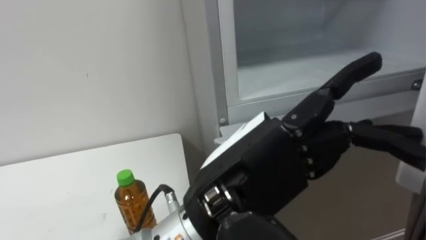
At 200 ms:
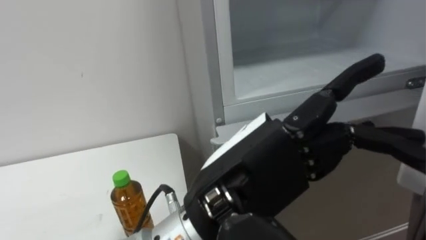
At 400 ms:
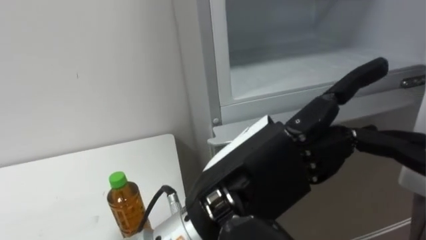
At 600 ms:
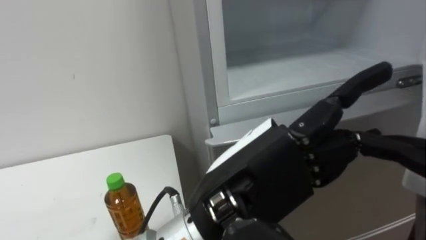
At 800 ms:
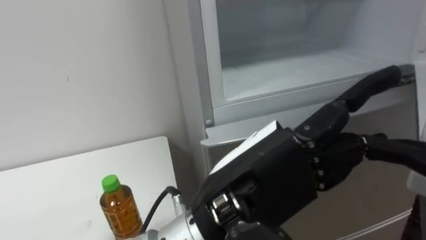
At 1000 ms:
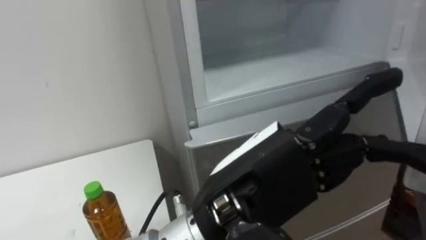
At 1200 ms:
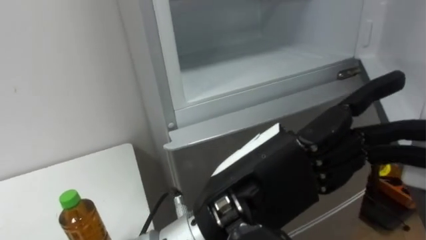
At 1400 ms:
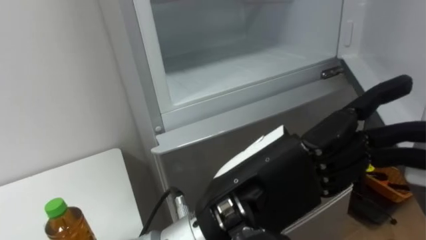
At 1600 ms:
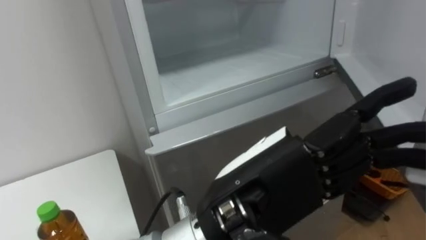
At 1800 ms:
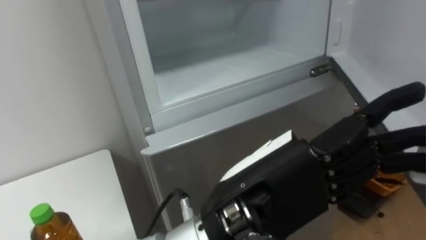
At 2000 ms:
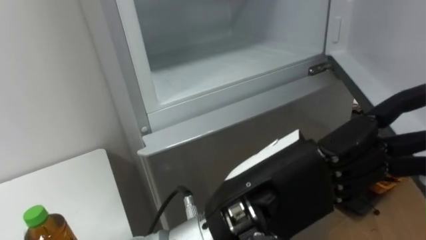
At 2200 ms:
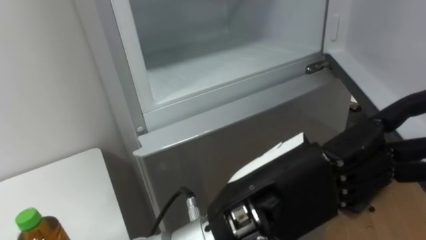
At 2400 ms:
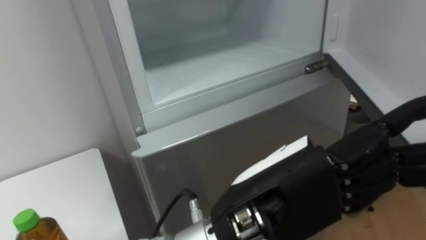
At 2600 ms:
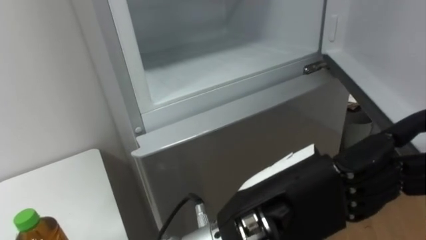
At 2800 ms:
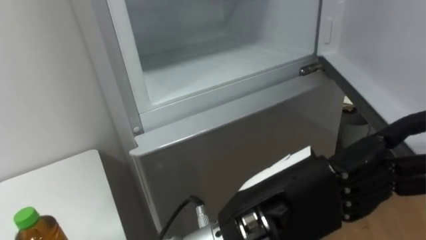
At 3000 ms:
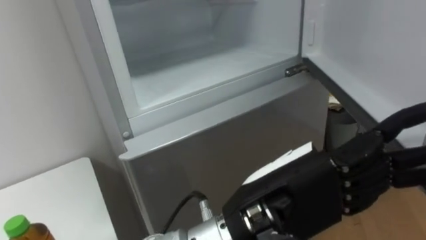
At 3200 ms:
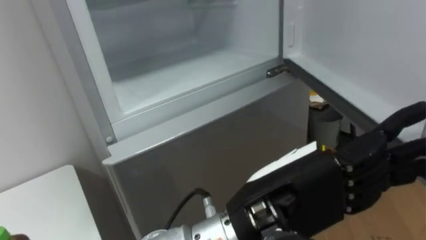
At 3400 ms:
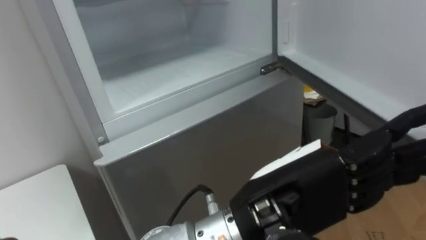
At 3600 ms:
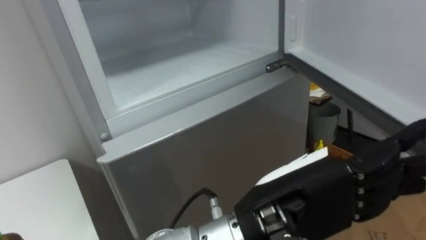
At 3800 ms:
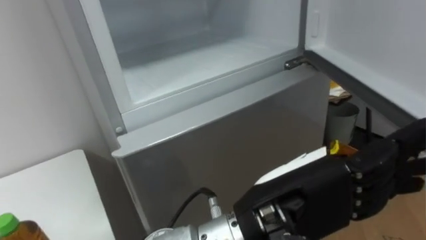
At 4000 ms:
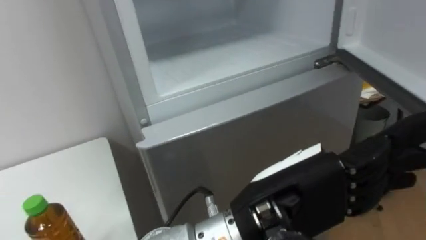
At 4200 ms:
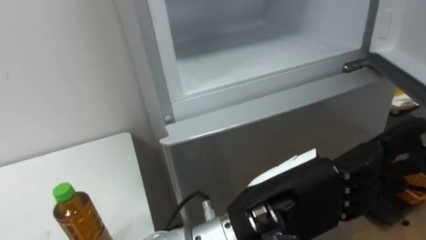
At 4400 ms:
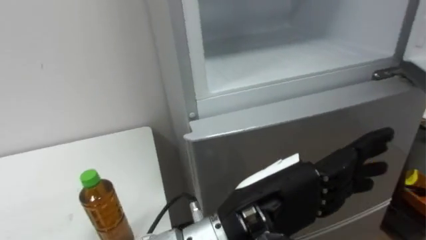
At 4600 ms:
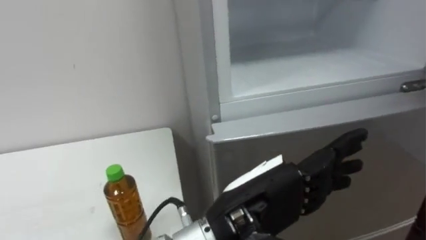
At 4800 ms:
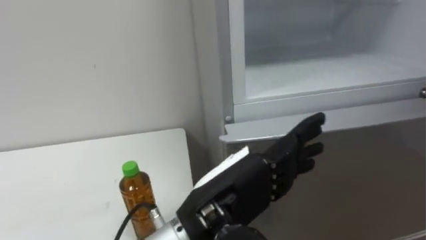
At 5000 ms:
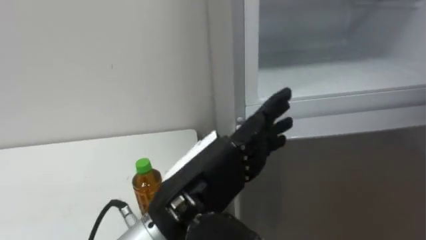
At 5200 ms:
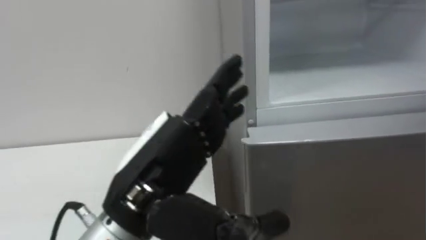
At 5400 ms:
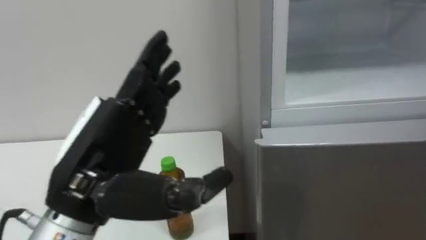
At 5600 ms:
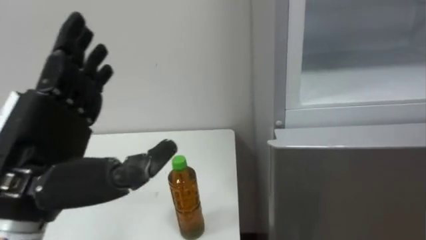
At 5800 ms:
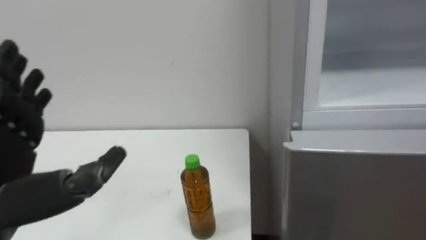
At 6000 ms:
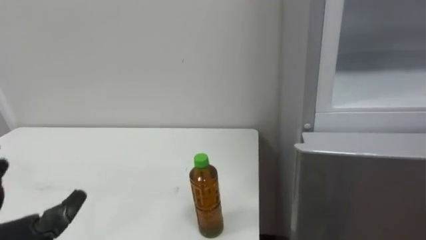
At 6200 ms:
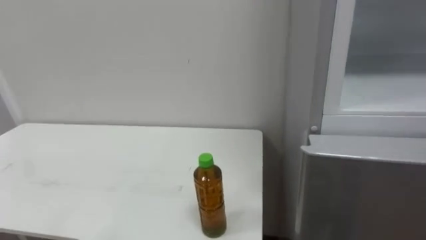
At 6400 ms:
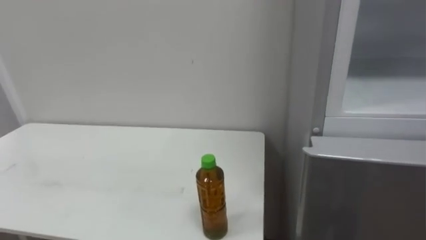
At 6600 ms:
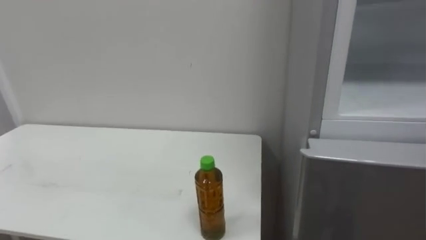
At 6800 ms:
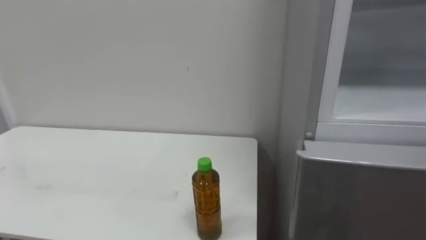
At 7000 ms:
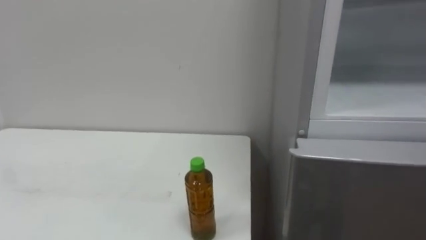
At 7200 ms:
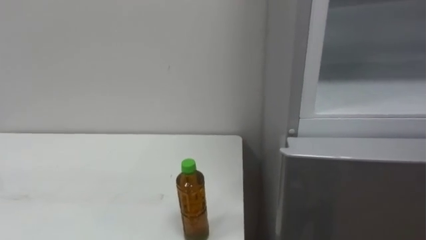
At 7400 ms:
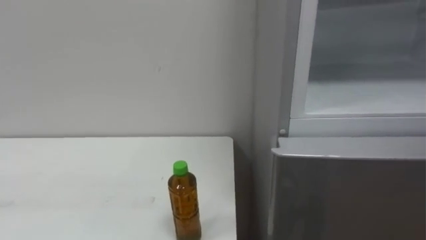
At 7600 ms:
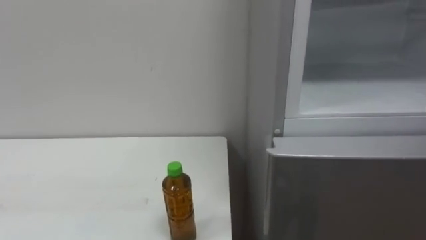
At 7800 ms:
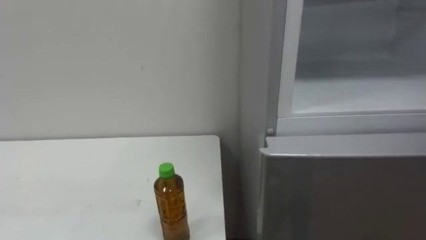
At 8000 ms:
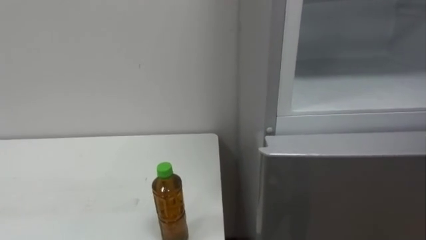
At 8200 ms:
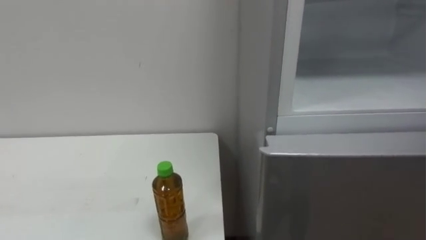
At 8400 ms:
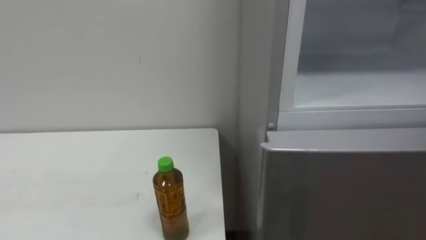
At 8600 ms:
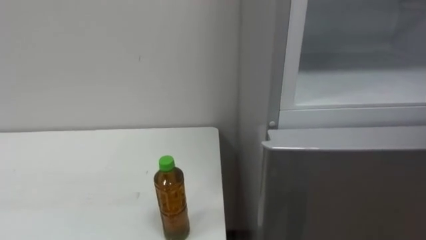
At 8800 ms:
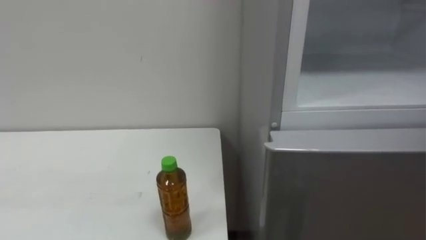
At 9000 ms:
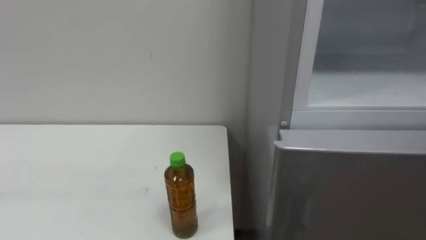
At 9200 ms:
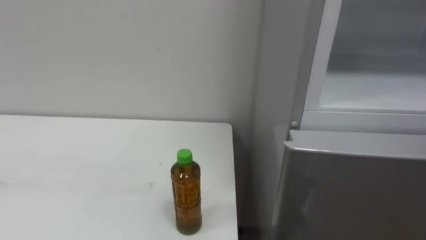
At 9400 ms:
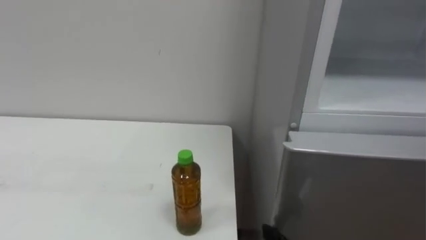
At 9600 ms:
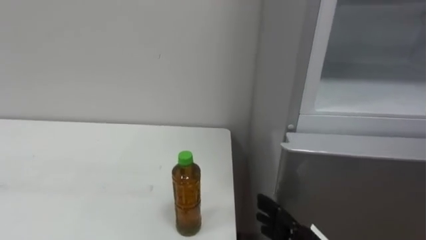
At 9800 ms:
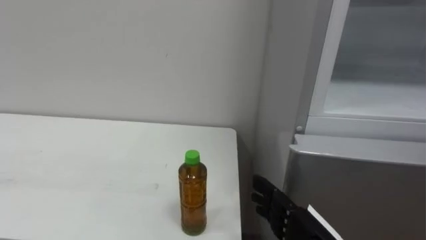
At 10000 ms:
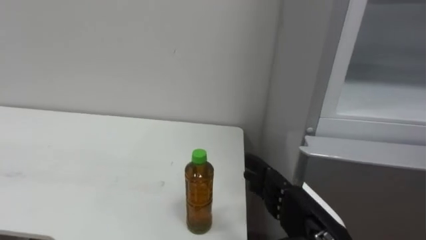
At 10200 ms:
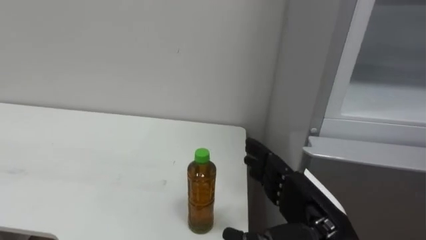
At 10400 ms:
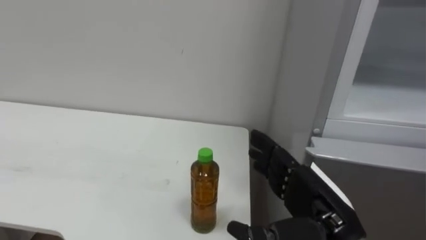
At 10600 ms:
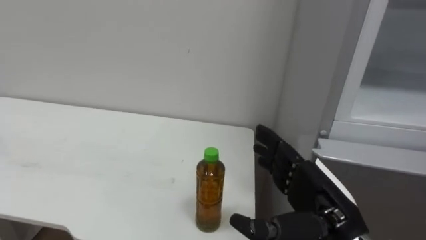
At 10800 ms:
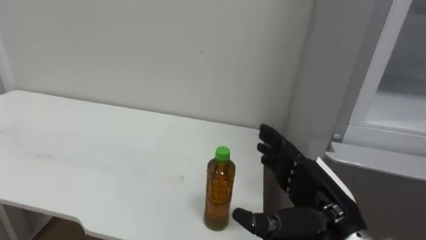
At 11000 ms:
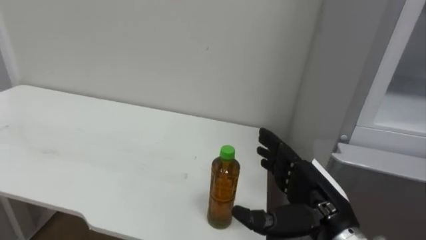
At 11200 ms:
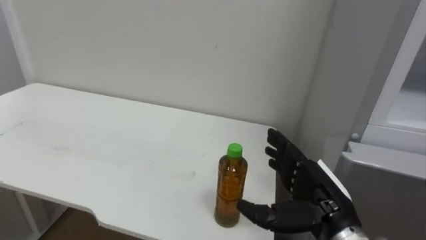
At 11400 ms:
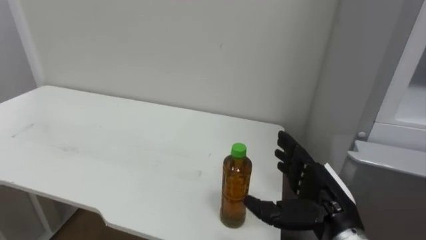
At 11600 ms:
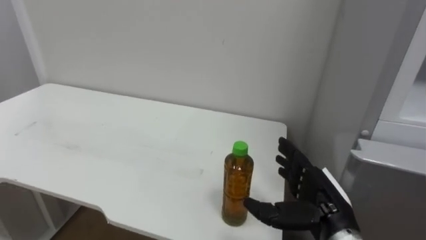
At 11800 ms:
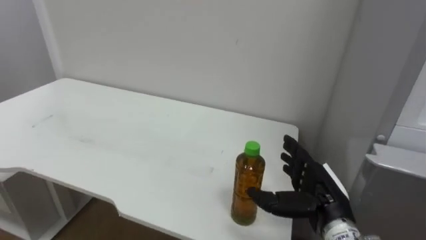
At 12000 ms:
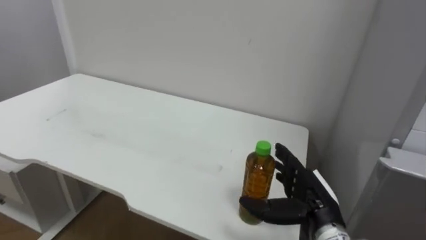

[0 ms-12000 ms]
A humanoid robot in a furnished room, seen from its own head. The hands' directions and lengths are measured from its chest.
Task of the whole recording: Open the upper refrigerator door, put the drink from the table into the refrigerator, and then close the refrigerator door.
10400 ms to 12000 ms: The right hand heads downward and forward, covering about 10 cm.

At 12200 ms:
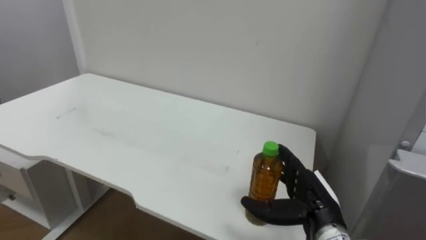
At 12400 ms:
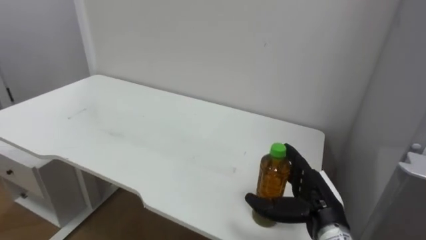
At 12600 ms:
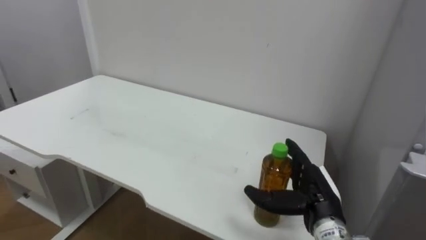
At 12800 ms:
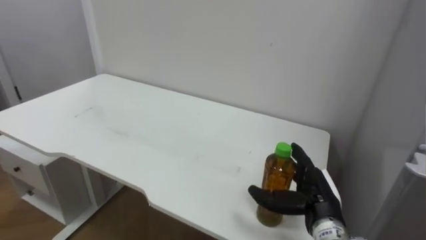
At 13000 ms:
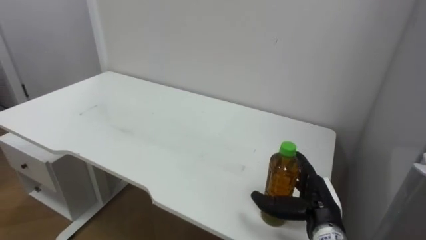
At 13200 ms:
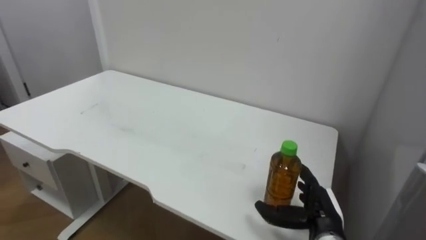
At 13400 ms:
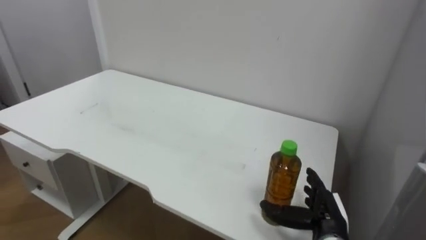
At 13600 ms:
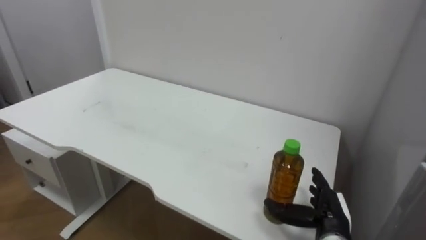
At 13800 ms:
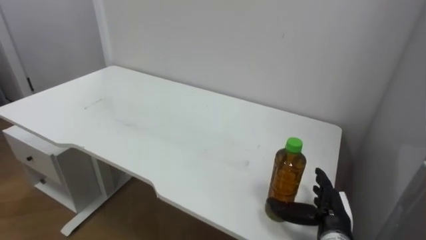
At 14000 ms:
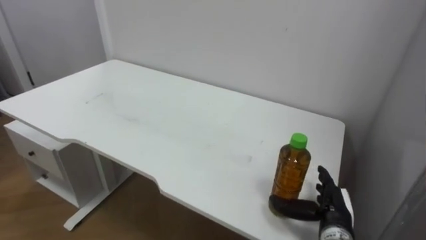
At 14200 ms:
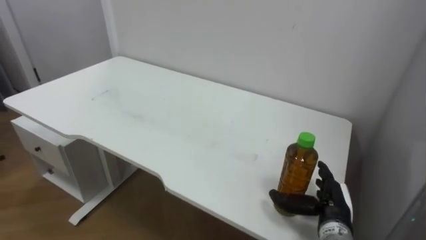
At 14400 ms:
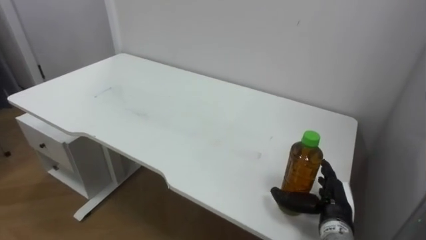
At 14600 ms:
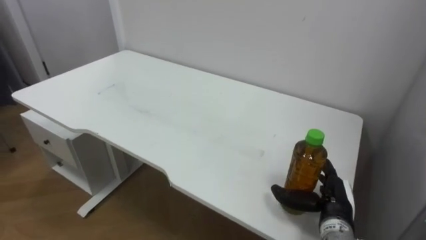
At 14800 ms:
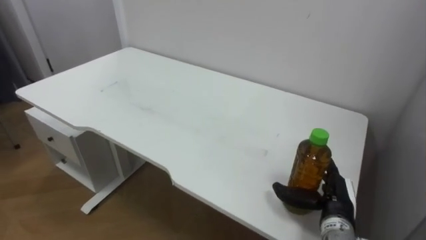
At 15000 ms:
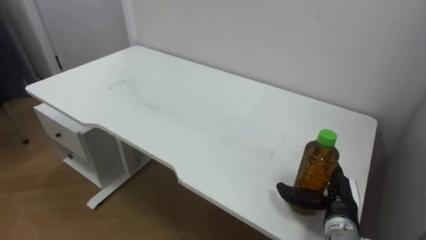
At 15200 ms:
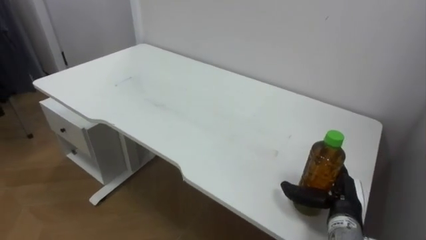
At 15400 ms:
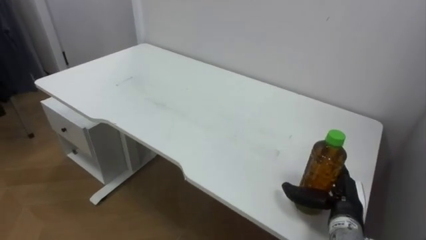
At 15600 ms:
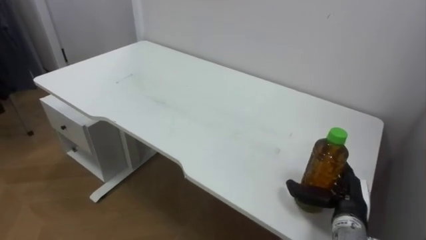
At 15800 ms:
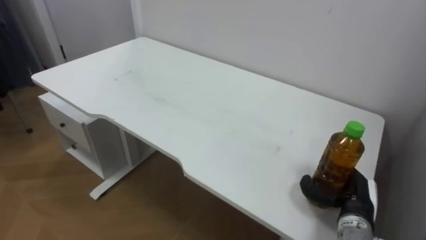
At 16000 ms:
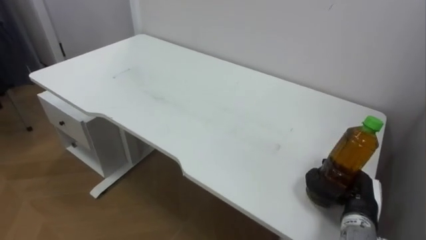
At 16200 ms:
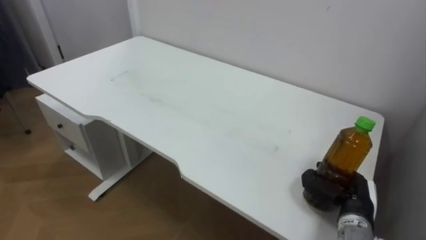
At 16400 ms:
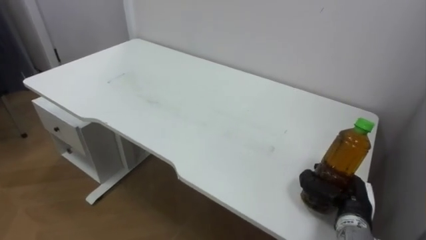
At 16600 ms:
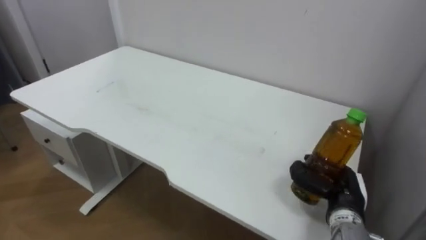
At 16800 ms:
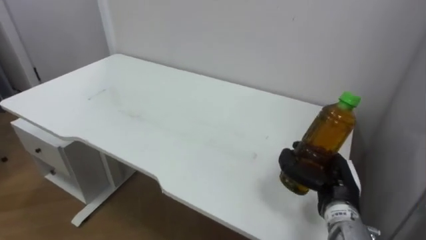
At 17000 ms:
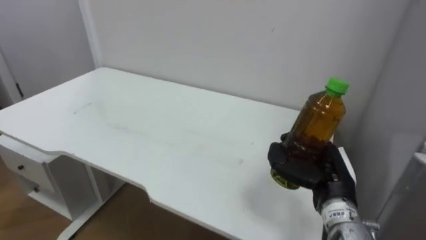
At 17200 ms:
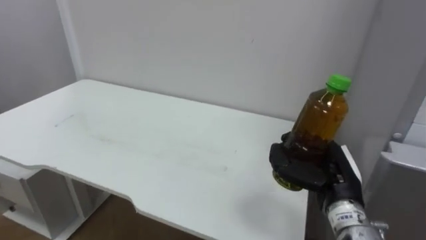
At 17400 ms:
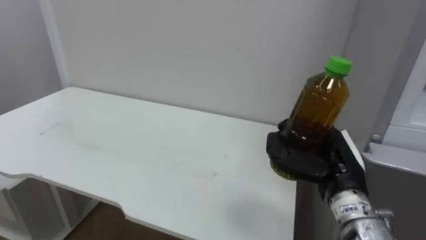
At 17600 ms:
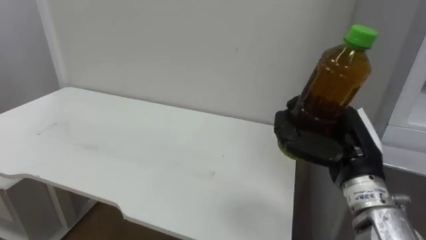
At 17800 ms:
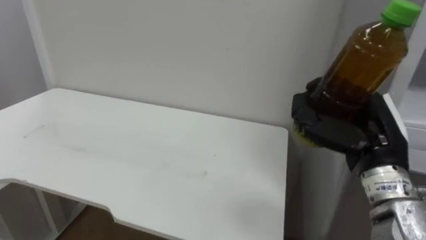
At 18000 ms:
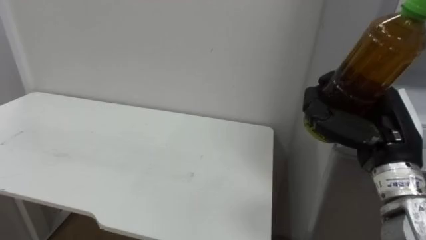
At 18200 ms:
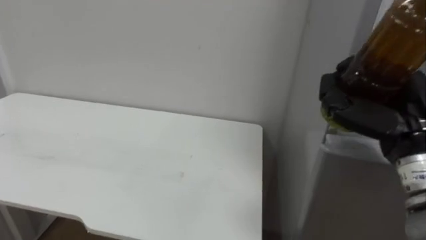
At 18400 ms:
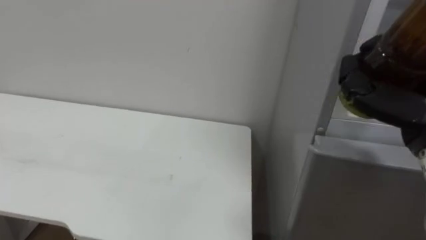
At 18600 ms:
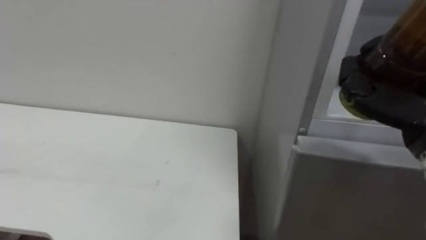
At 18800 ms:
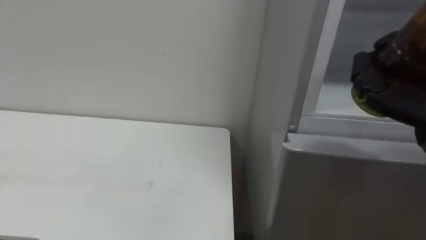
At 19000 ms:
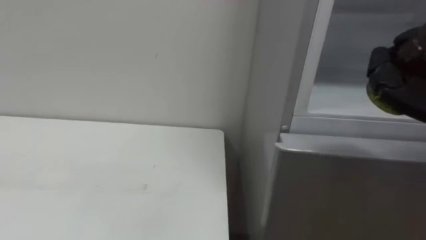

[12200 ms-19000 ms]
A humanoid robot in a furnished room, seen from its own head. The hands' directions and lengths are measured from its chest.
Task of the whole recording: Open the upper refrigerator door, put the drink from the table into the refrigerator, and then close the refrigerator door.
12200 ms to 13600 ms: The right hand shifts approximately 5 cm downward.
15000 ms to 16200 ms: The right hand closes up.
16200 ms to 17600 ms: The right hand heads upward, covering approximately 15 cm.
